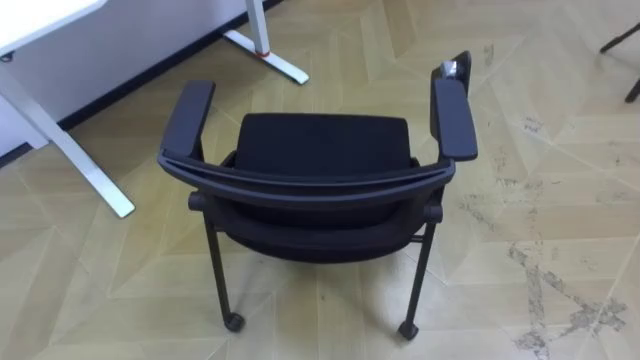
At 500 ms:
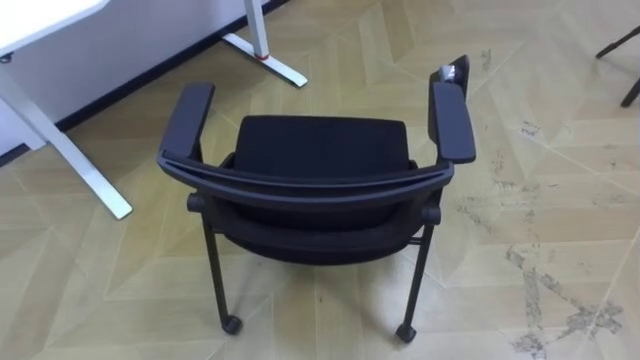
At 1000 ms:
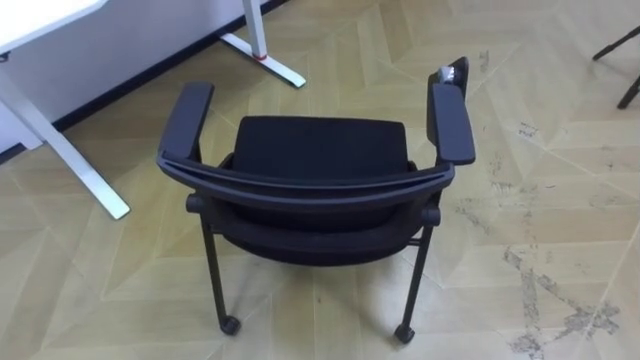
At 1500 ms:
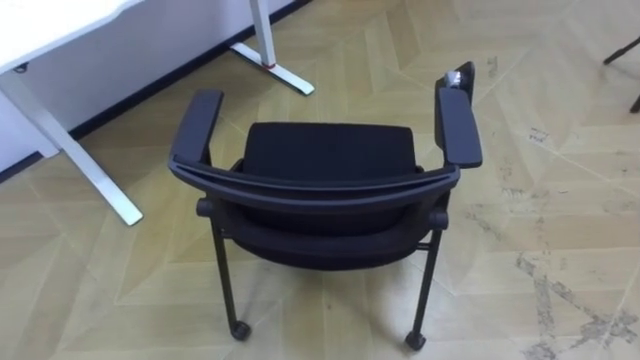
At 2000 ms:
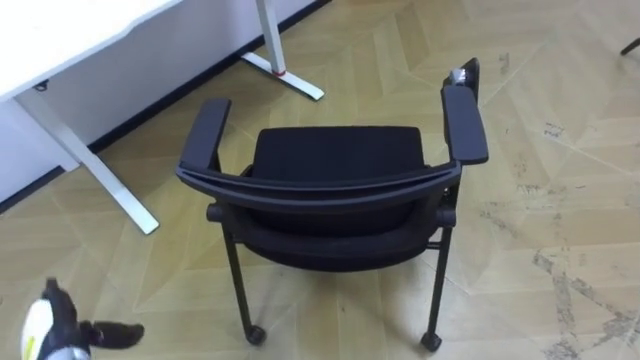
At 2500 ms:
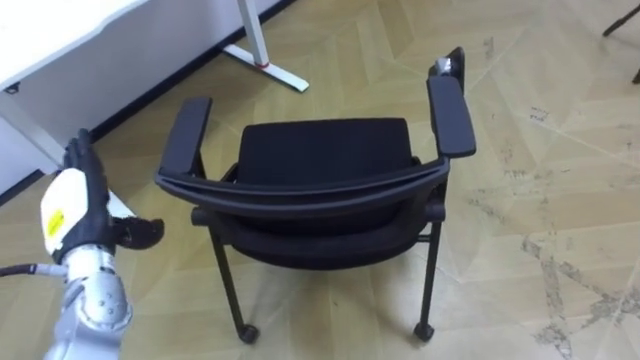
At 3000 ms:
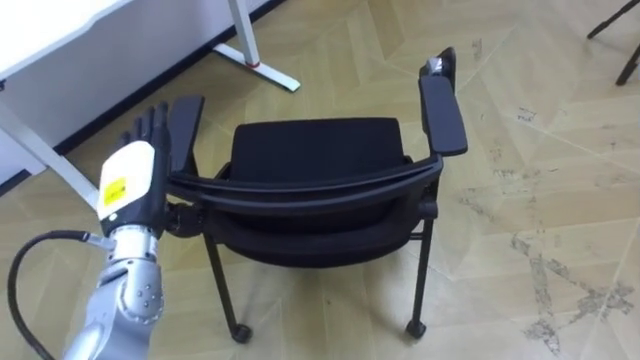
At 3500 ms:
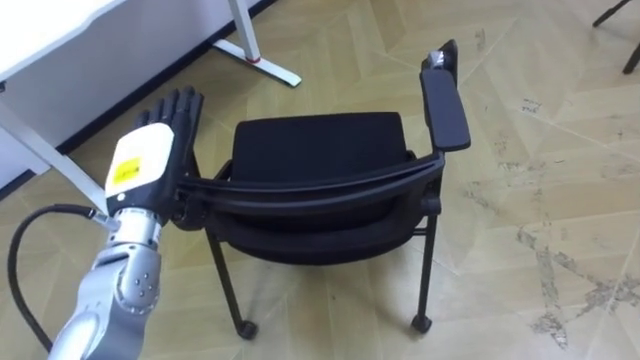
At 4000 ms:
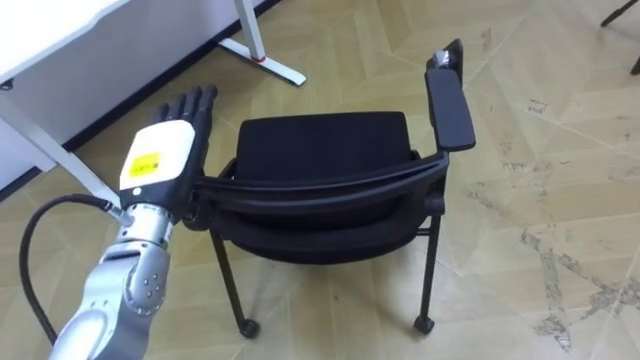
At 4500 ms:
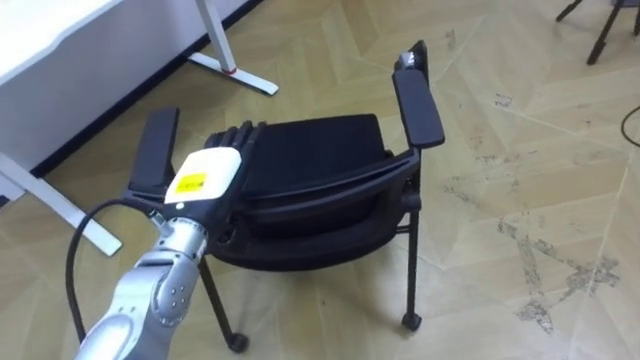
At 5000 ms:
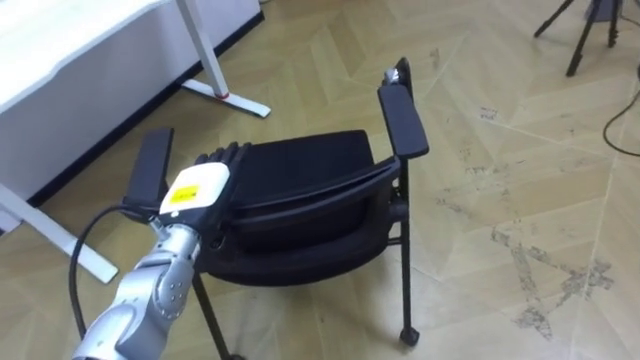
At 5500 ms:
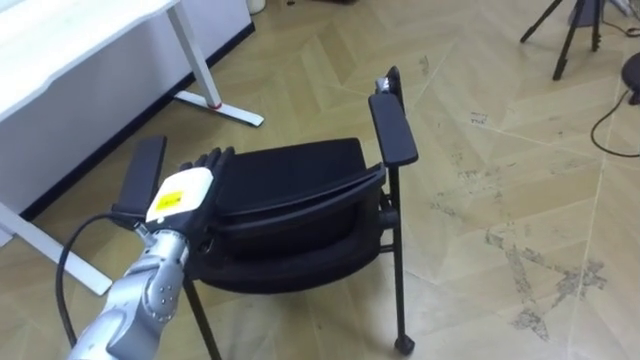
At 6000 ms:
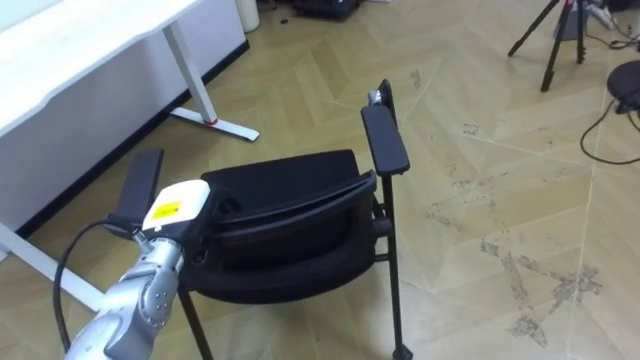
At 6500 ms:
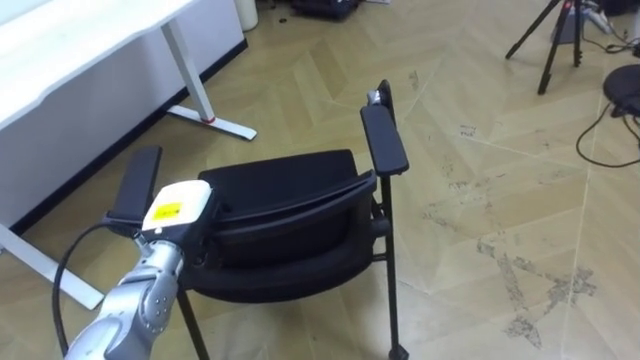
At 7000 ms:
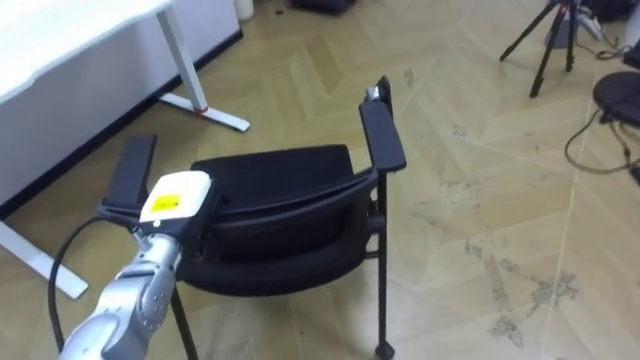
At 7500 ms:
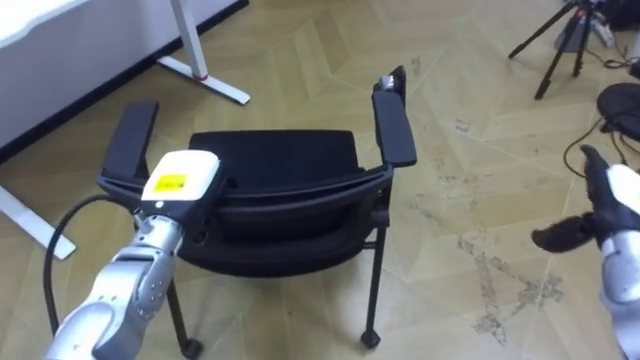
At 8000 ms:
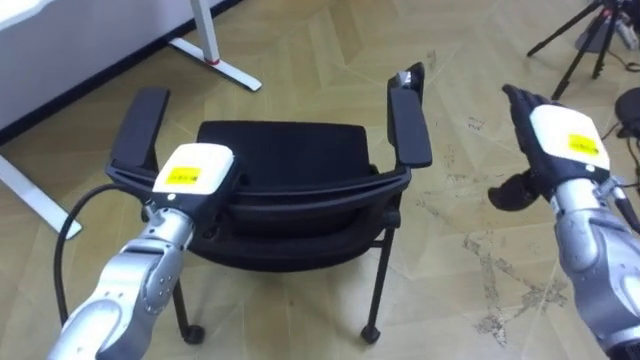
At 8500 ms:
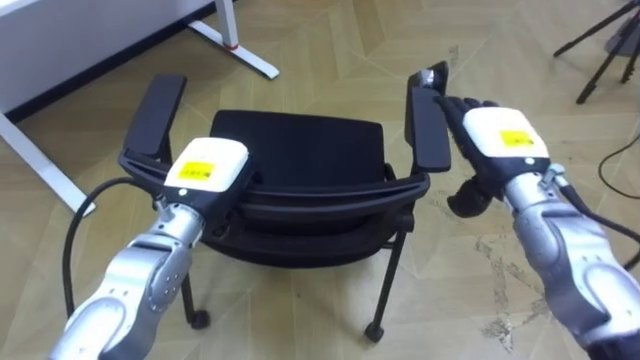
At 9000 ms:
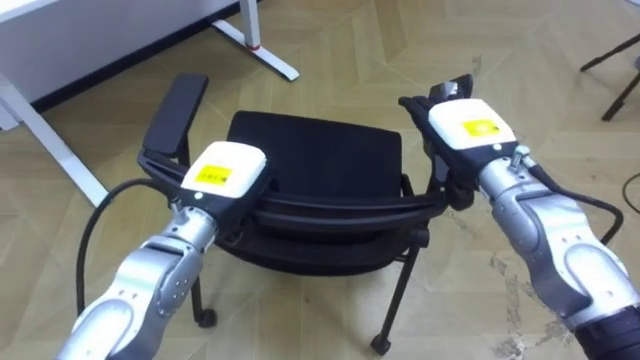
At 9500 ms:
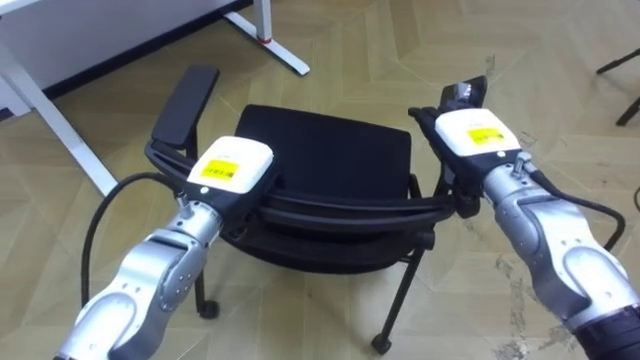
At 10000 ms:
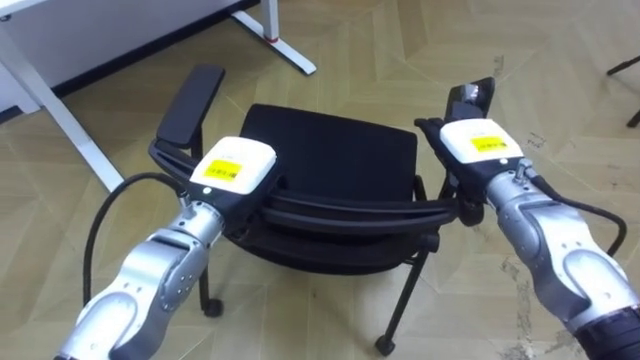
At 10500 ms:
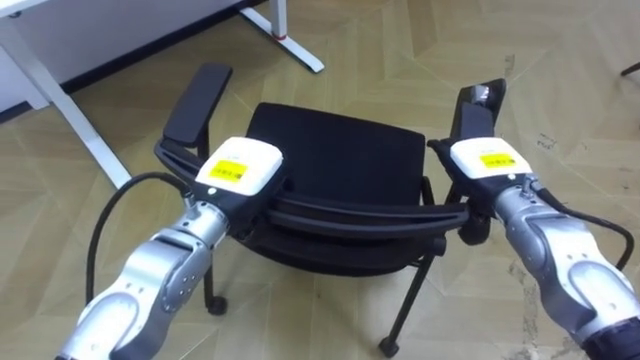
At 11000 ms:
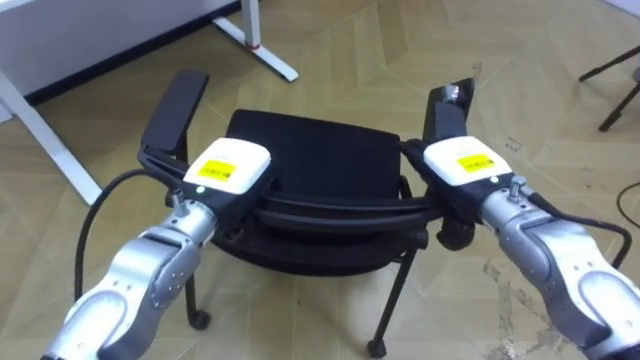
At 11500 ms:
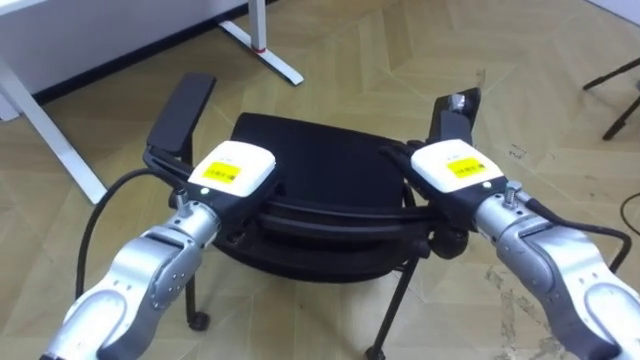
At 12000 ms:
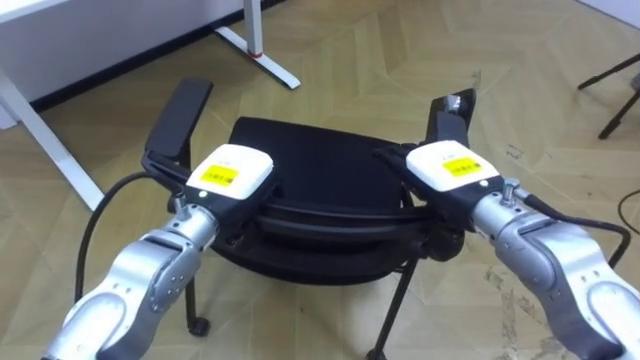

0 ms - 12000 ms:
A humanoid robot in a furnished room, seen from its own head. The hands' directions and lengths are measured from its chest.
Task of the whole recording: Push the chair under the table.
2000 ms - 4000 ms: The left hand shifts approximately 30 cm upward, to the right and forward.
4000 ms - 6000 ms: The left hand travels downward by some 10 cm, and closes its fingers.
6000 ms - 8000 ms: The left hand travels upward by roughly 5 cm, and closes its fingers.
8000 ms - 10000 ms: The right hand travels to the left by some 10 cm.
10000 ms - 12000 ms: The right hand ends up roughly 5 cm from where it was.

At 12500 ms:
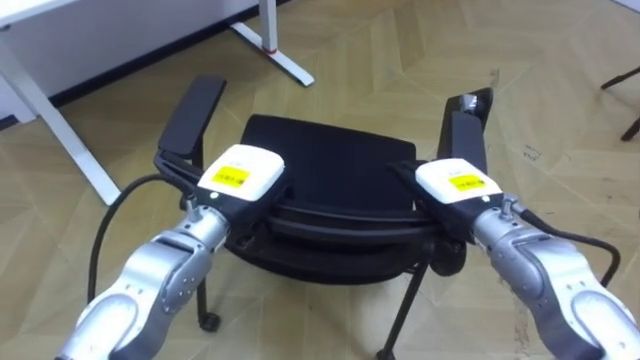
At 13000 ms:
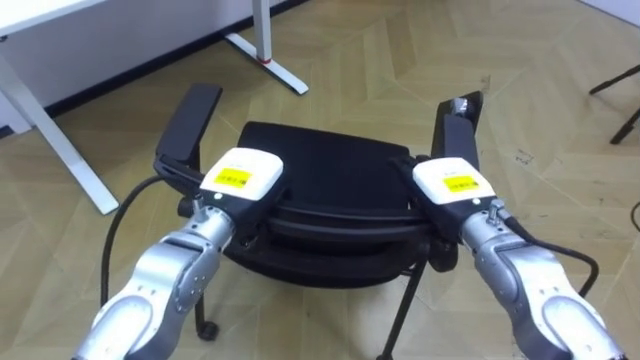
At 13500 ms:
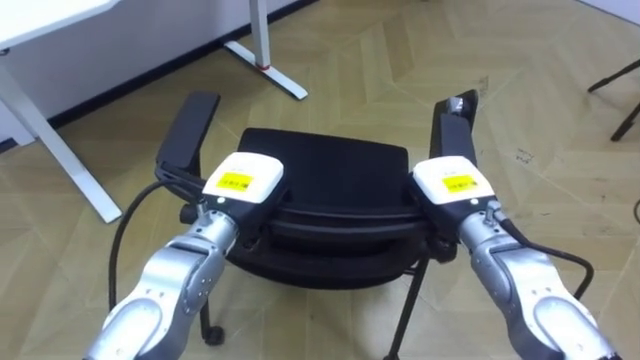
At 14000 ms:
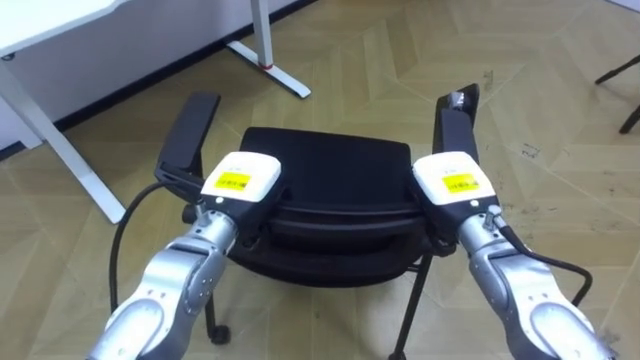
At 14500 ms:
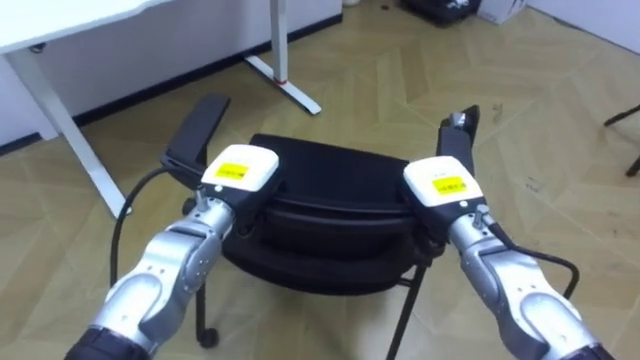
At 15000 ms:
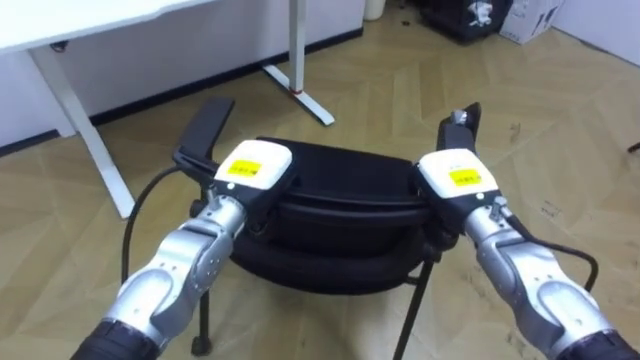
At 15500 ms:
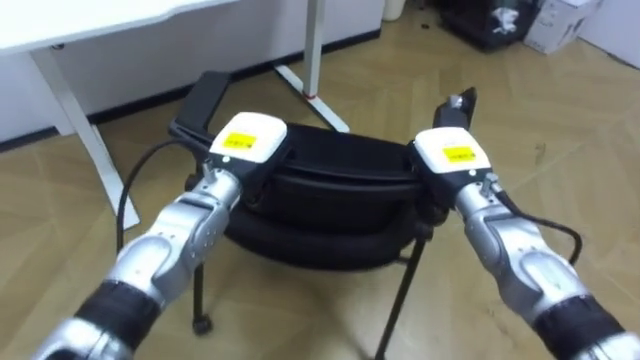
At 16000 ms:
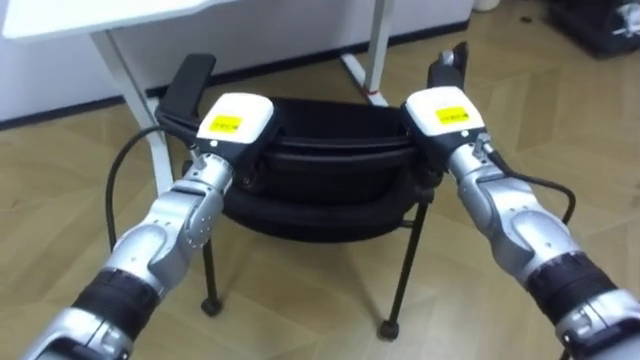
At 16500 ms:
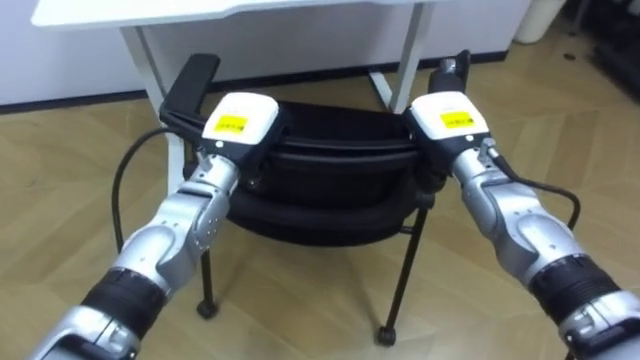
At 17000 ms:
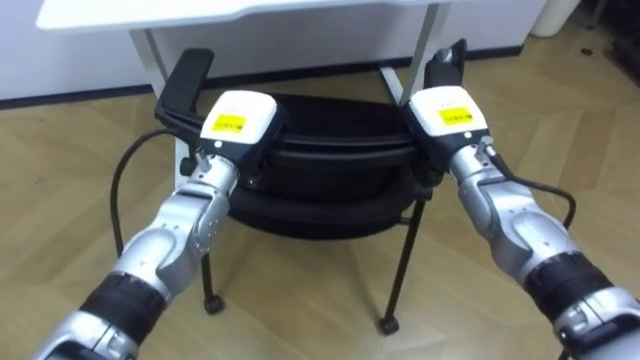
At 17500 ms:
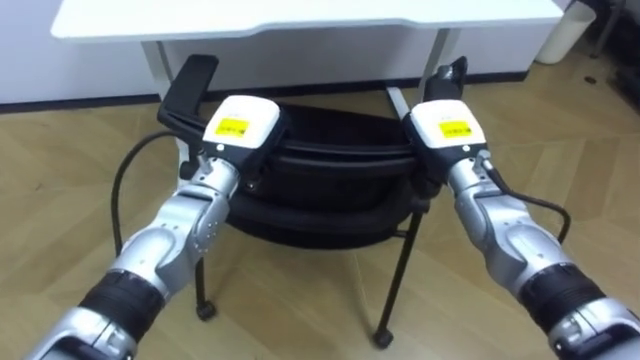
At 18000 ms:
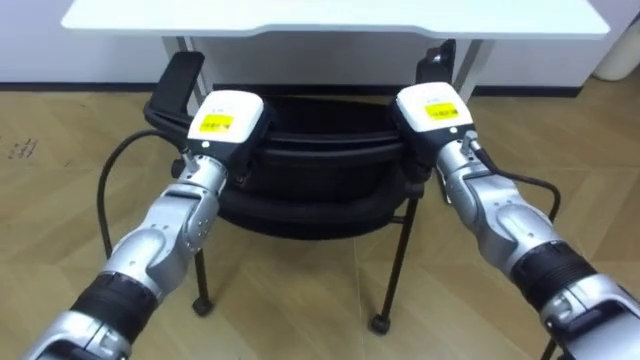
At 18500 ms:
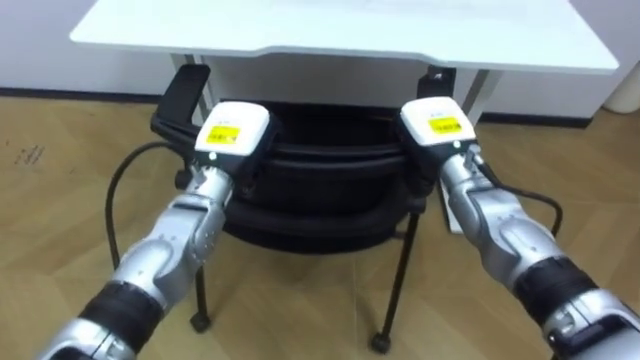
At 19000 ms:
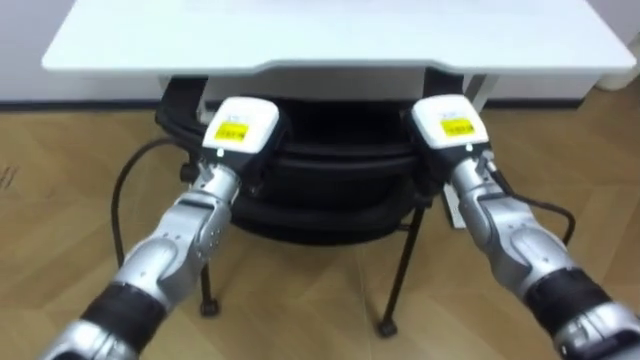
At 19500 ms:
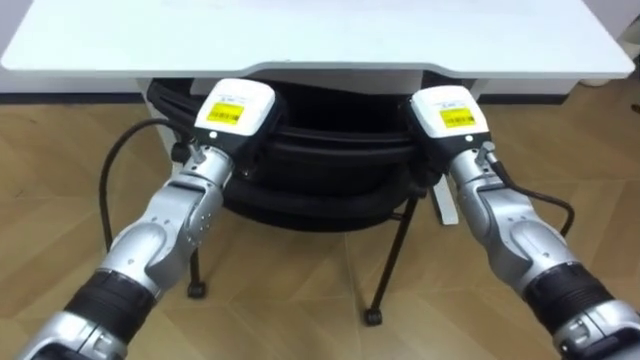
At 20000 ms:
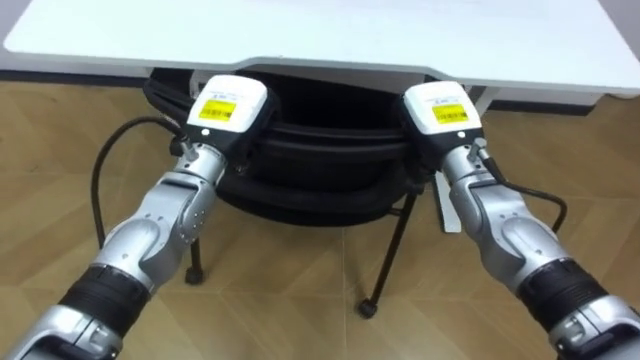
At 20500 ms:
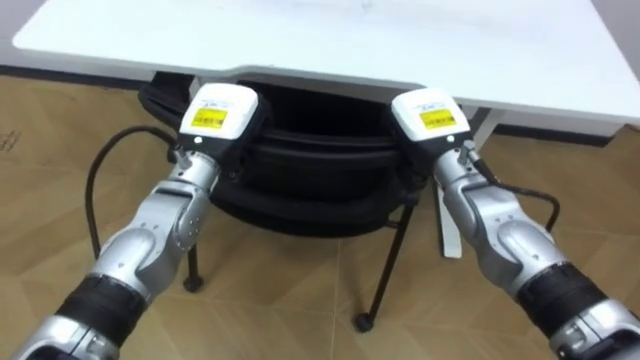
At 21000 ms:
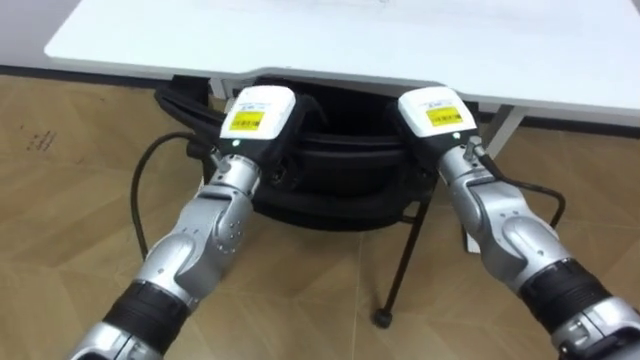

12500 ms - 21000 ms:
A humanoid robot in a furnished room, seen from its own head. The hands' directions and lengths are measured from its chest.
Task of the whole recording: Push the chair under the table.
12500 ms - 14500 ms: The right hand closes its fingers.
14500 ms - 16500 ms: The robot faces approximately 25 degrees further to its left. The left hand changes place by about 5 cm. The right hand goes approximately 5 cm forward.
19000 ms - 21000 ms: The robot's body swings about 15 degrees to its left. The left hand opens its fingers, while the right hand opens up.
